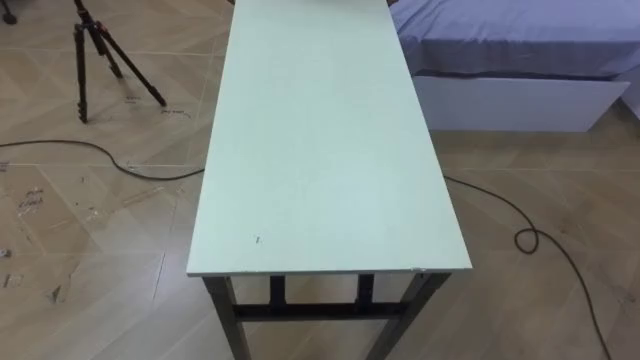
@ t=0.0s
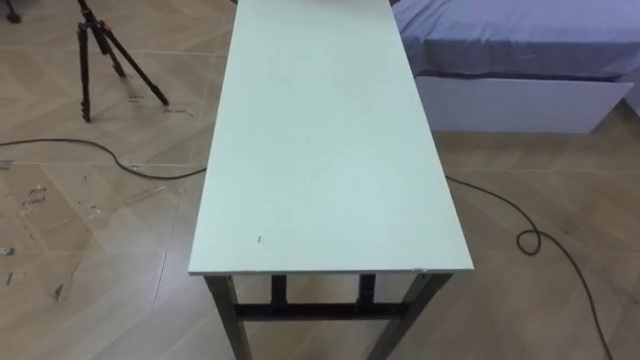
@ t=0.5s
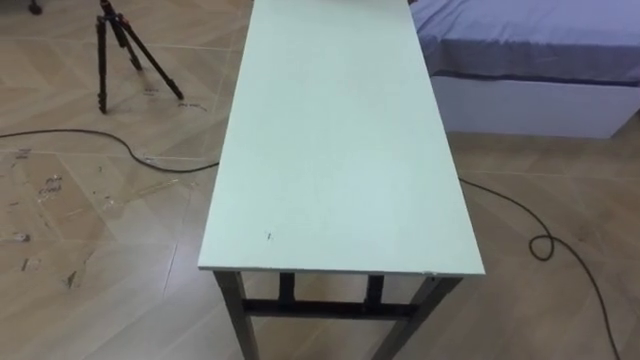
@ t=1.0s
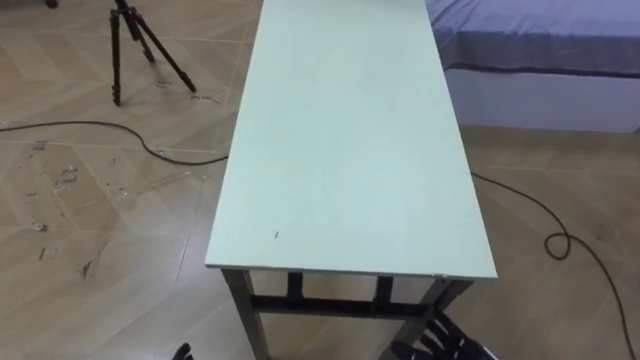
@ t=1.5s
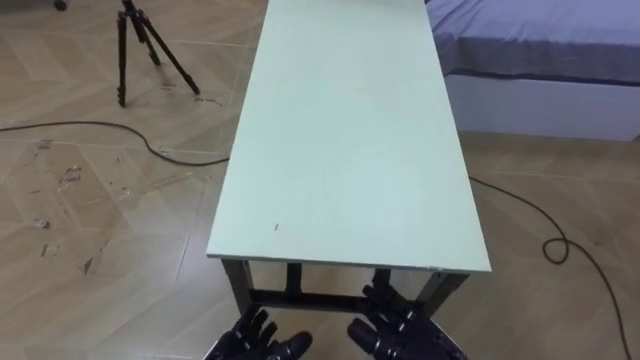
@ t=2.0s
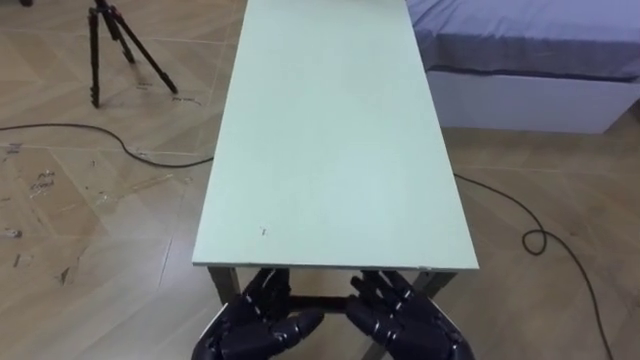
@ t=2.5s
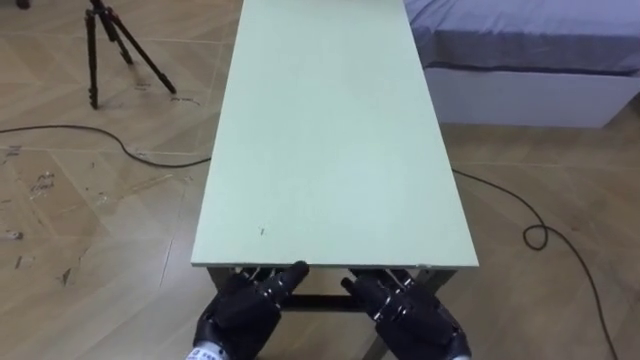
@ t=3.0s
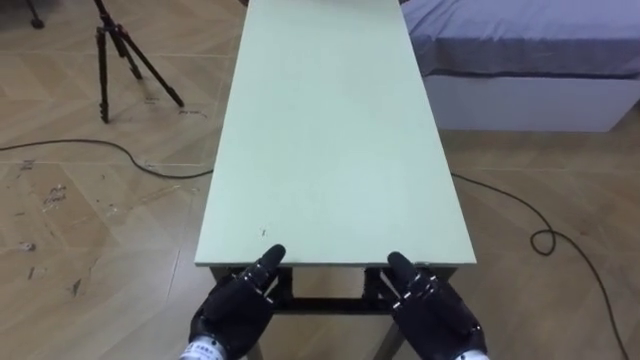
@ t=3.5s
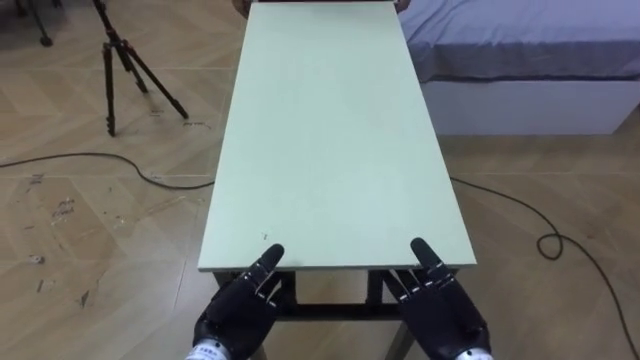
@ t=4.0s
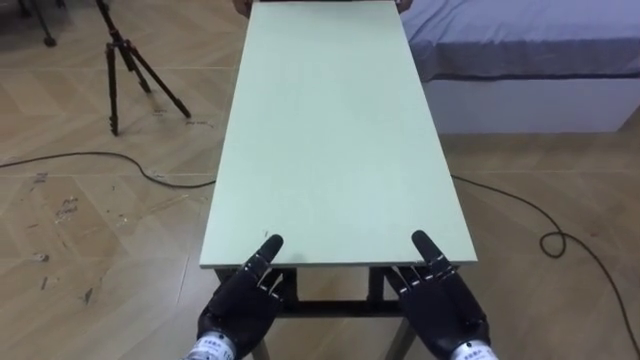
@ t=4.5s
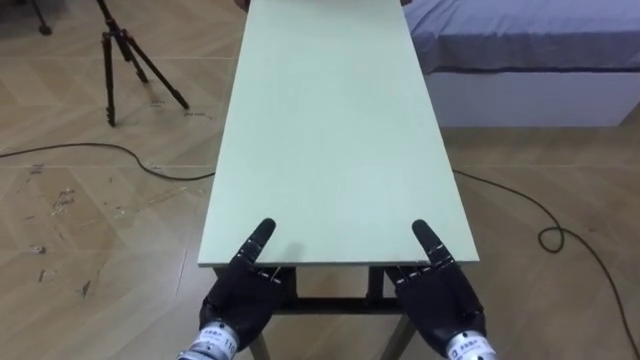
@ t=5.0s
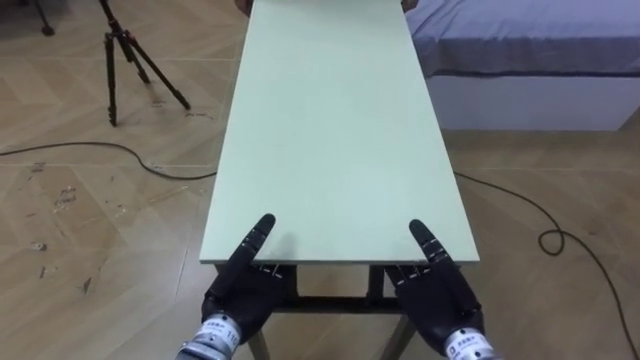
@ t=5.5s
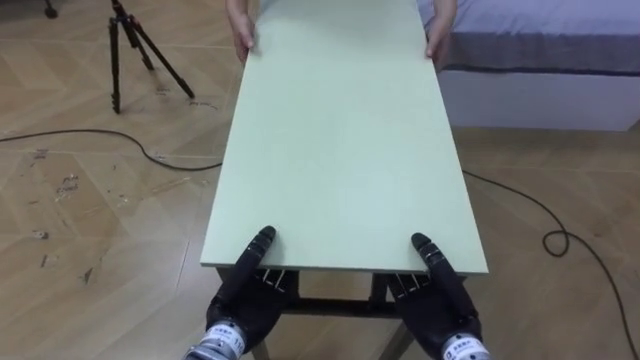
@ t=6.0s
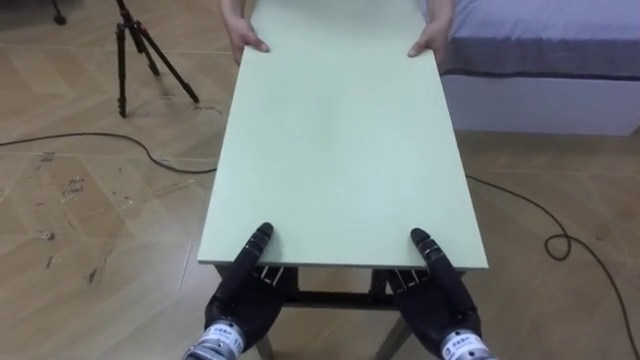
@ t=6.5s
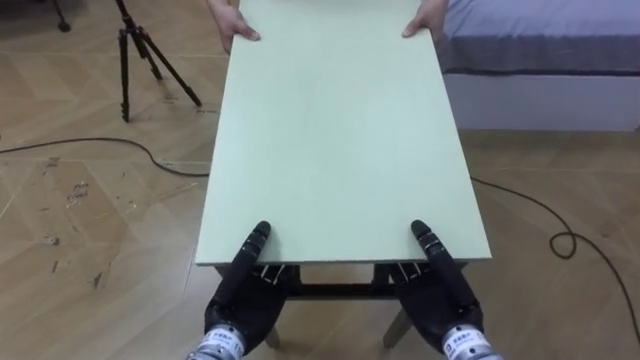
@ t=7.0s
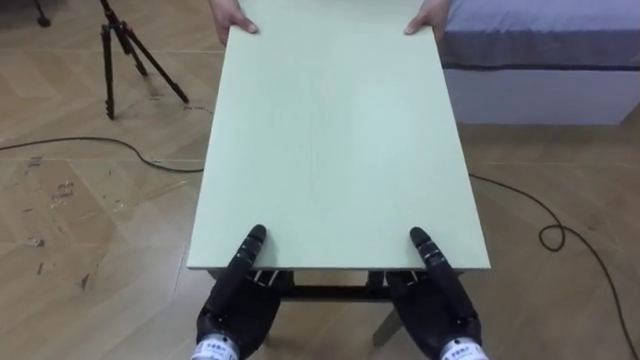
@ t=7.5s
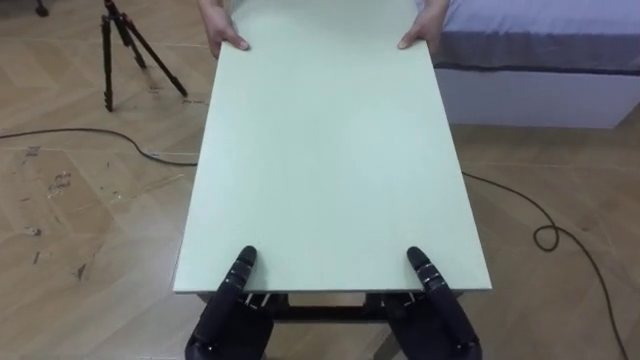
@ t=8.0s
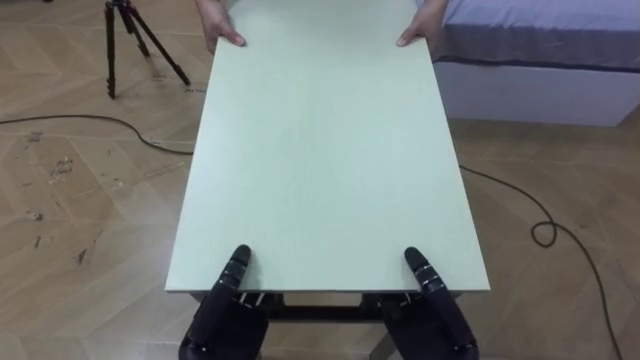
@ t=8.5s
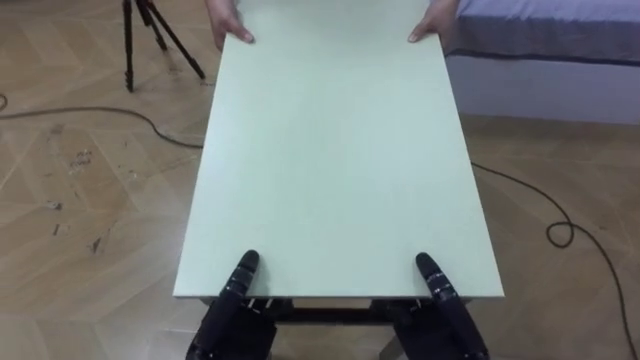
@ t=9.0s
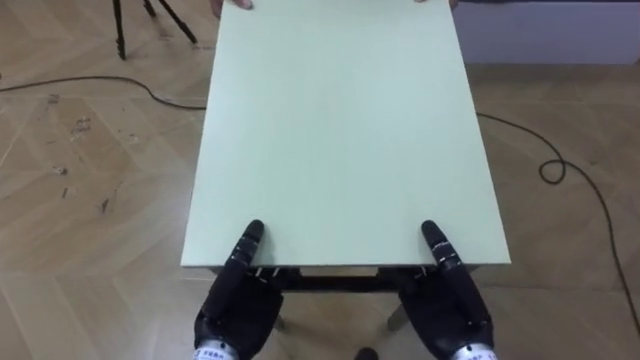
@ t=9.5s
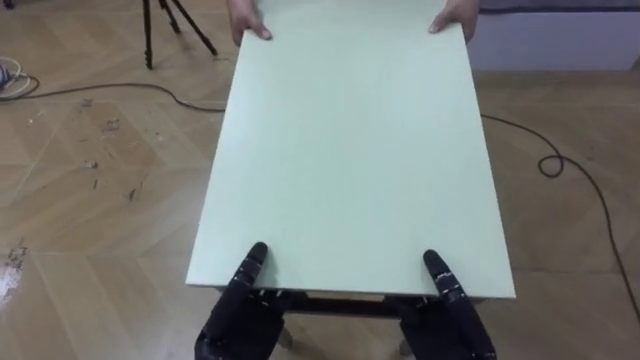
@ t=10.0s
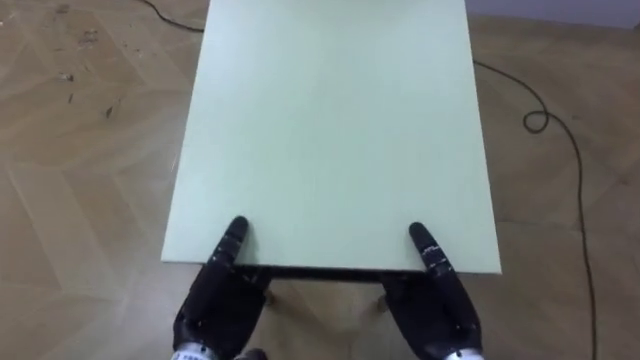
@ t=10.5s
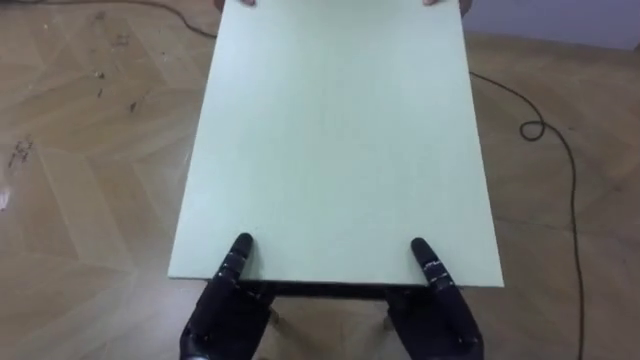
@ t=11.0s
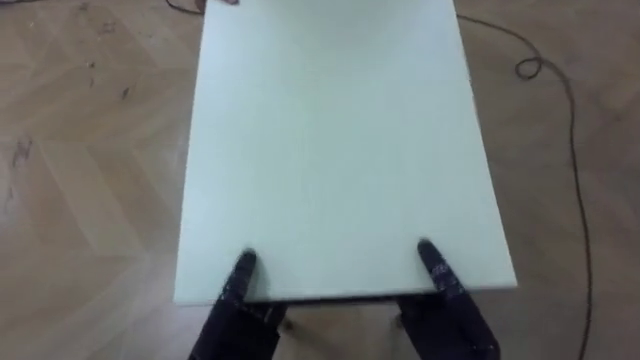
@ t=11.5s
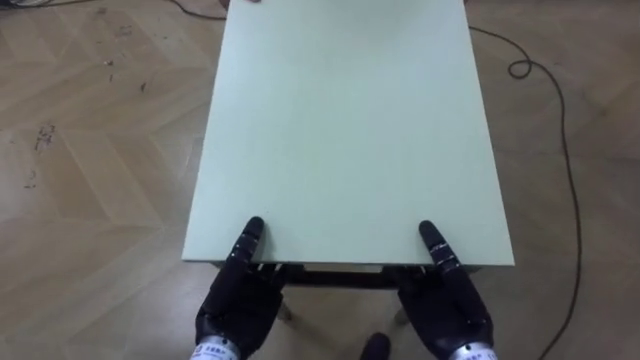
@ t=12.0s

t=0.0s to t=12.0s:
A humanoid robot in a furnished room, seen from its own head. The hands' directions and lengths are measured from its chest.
Task of the whole recording: Move the table to the back left with someone.
t=2.0s to t=4.0s: The right hand shifts by about 5 cm.
t=4.0s to t=6.0s: The right hand closes up. Meanwhile the left hand closes up.

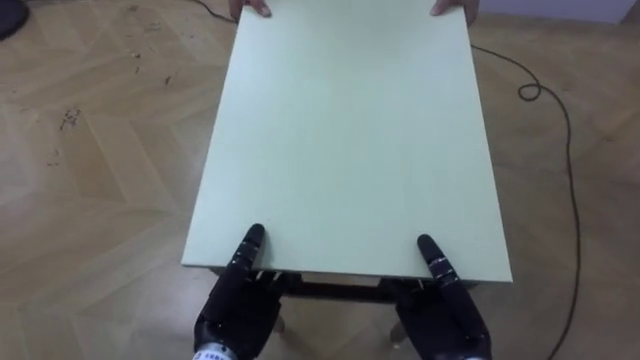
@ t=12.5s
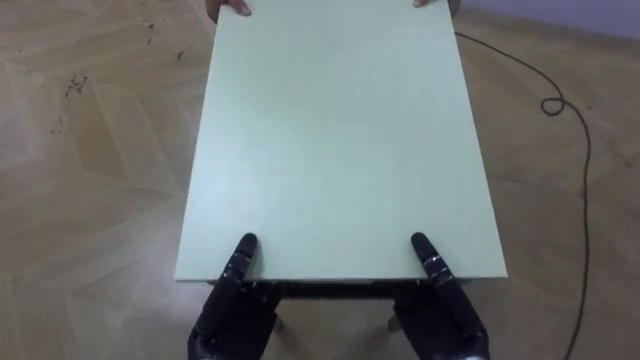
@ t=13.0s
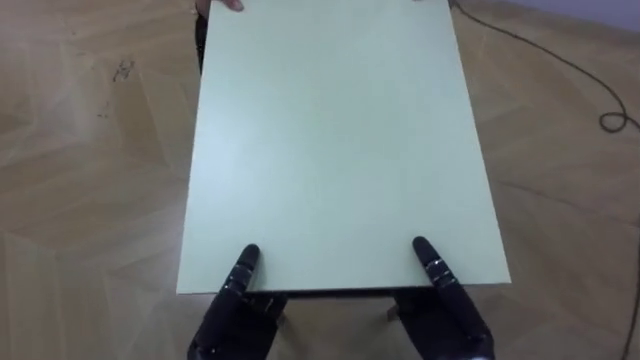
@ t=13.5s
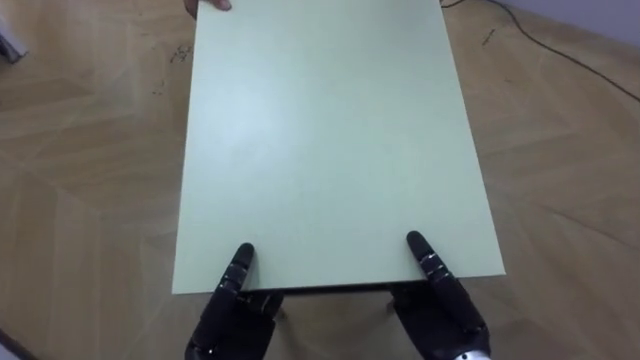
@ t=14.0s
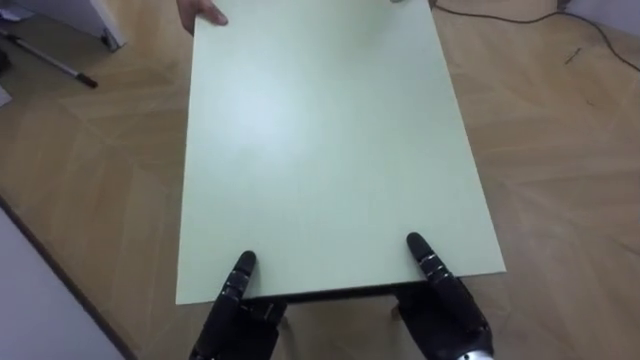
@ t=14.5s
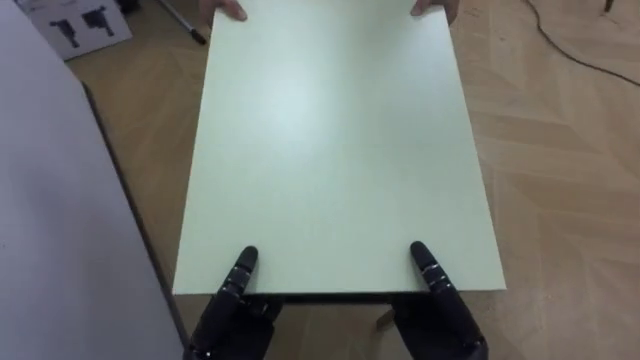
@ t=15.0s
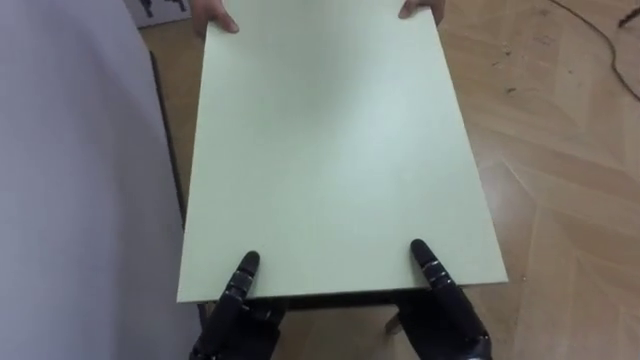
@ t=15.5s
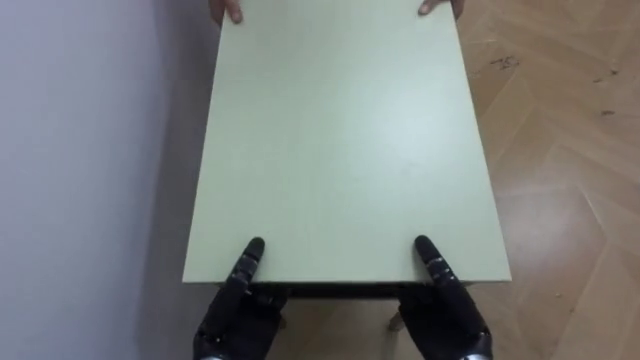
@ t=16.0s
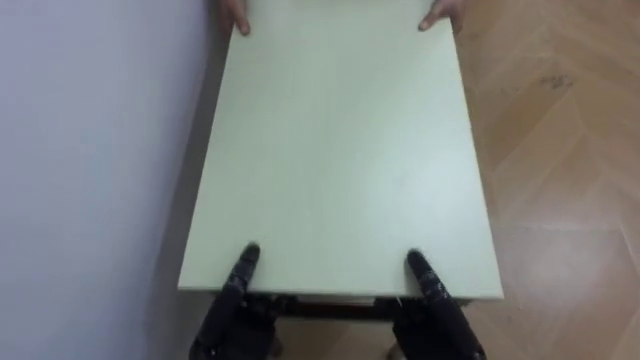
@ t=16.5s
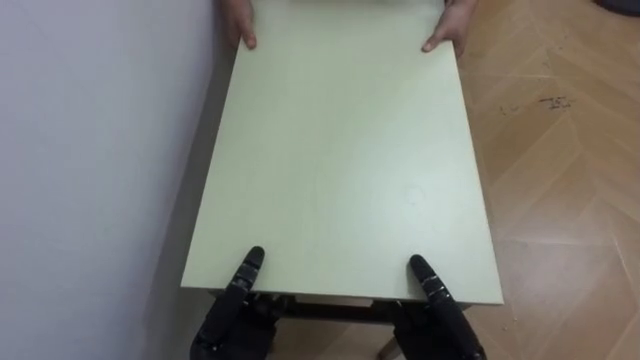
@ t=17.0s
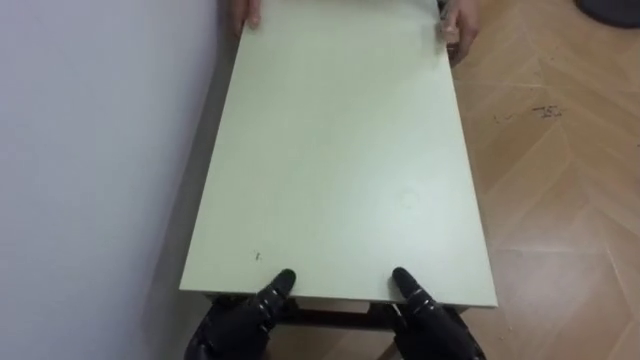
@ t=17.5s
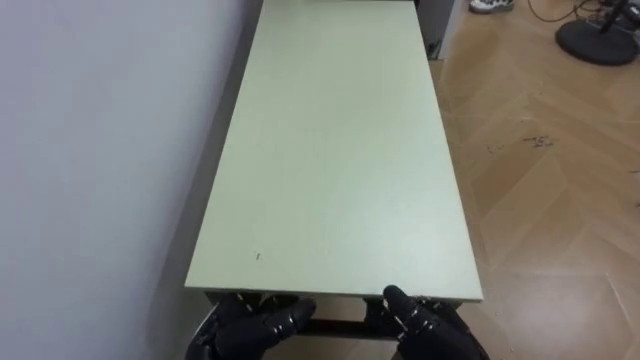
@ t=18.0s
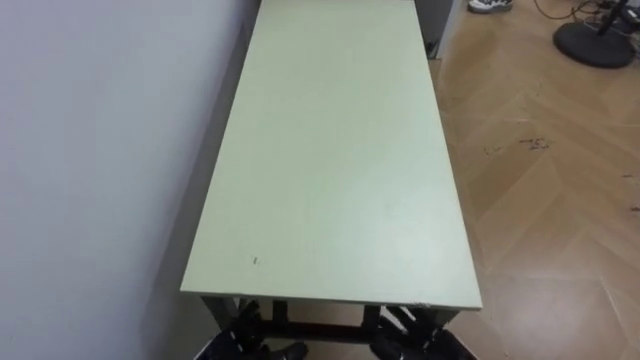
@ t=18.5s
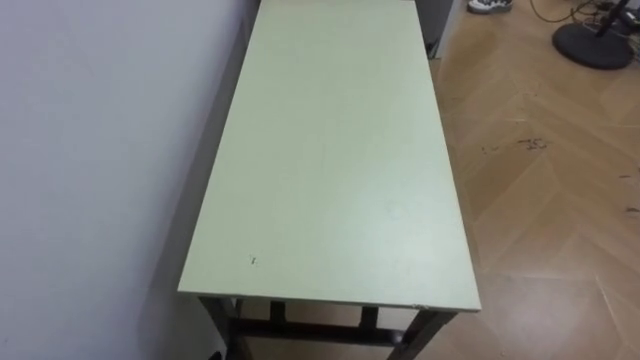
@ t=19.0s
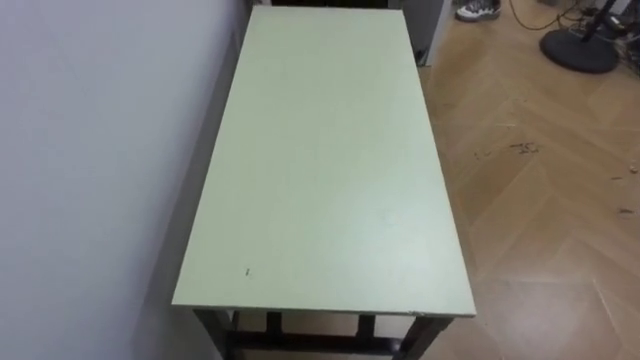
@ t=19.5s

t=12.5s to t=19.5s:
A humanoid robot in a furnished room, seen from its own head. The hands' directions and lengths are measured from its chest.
Task of the whole recording: Move the table to the back left with someone.
t=12.5s to t=14.5s: The robot rotates approximately 25 degrees to its left.
t=14.5s to t=16.0s: The robot's body swings roughly 50 degrees to its left.

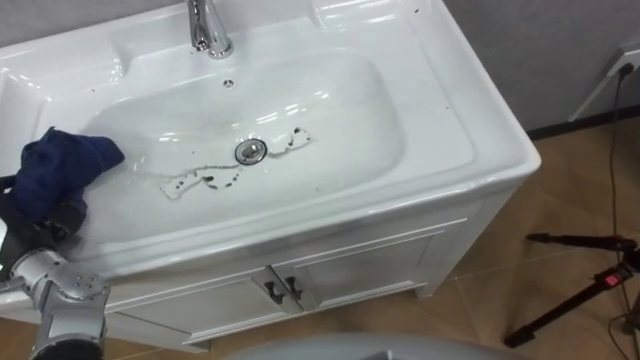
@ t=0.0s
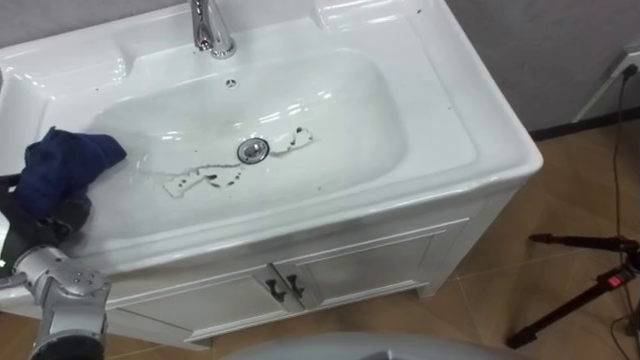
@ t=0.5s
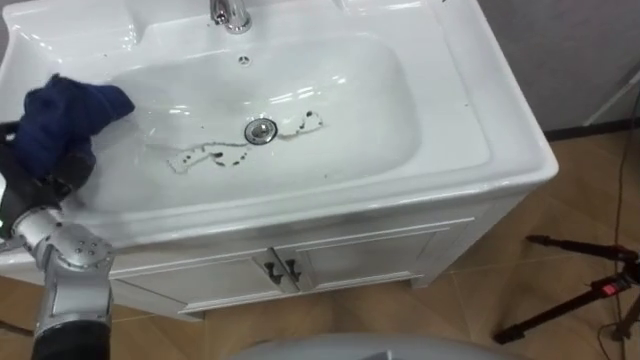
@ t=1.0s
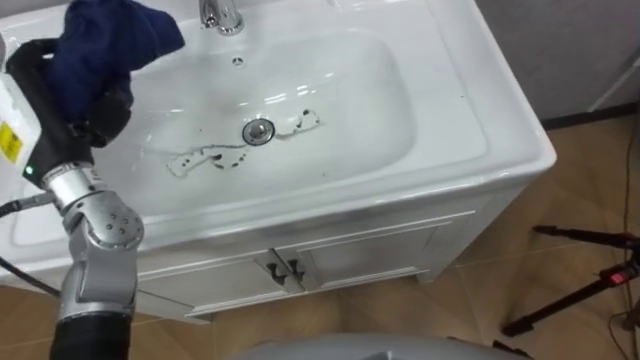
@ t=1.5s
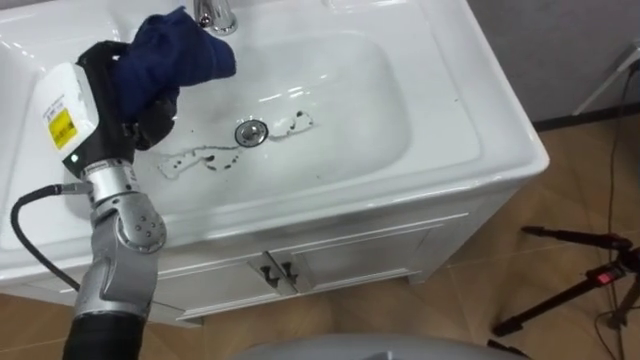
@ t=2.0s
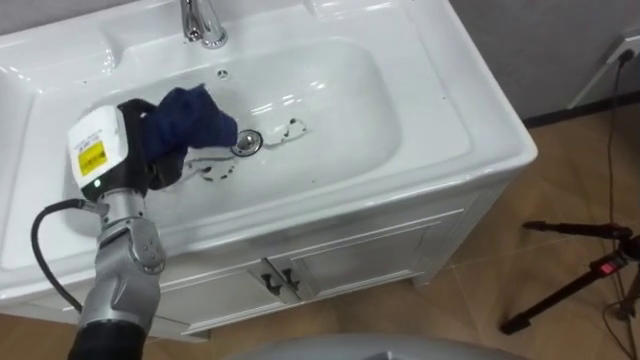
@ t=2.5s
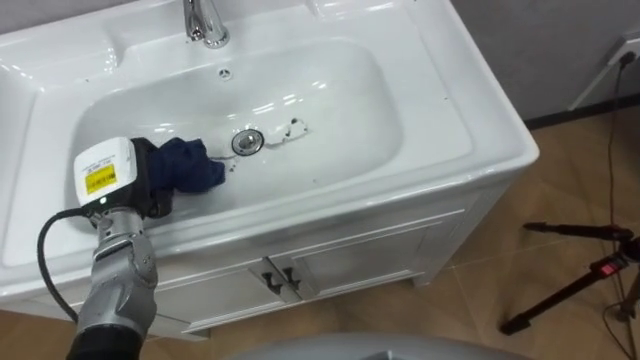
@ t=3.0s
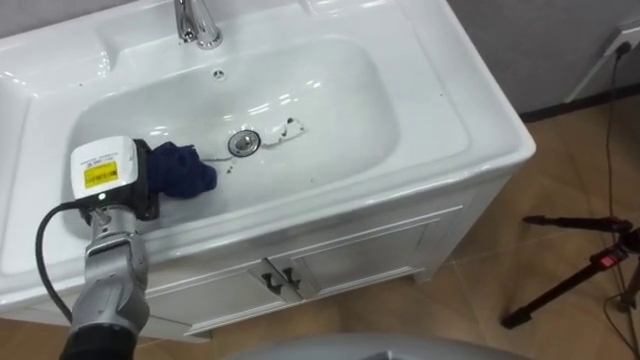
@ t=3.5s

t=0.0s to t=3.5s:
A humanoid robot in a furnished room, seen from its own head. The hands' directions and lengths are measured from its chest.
Task of the whole recording: Use the cloth on the right to wipe away the black stain in the sink.
t=2.0s to t=3.5s: The left hand goes some 10 cm downward.
